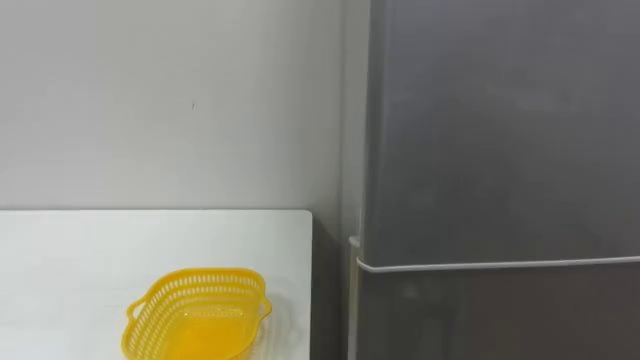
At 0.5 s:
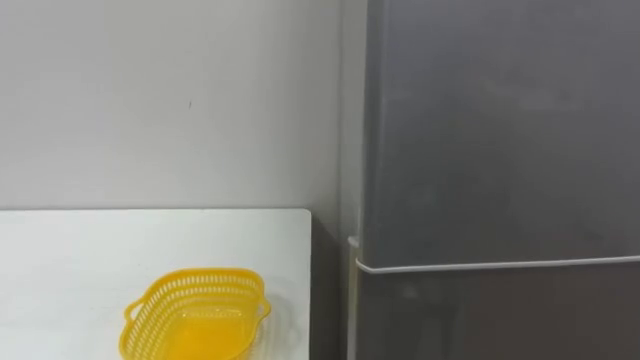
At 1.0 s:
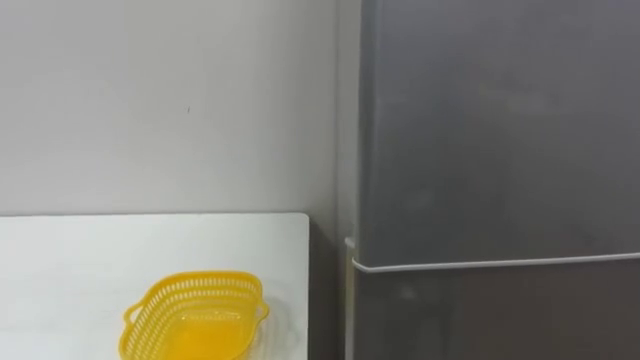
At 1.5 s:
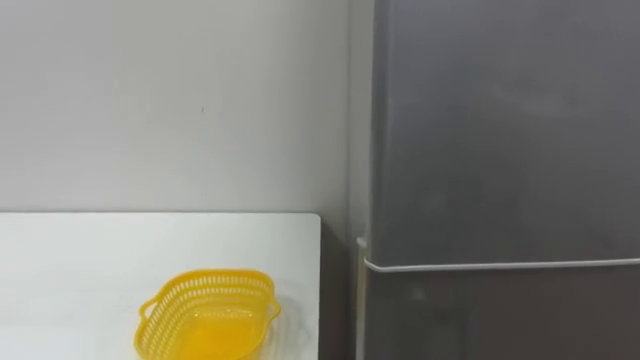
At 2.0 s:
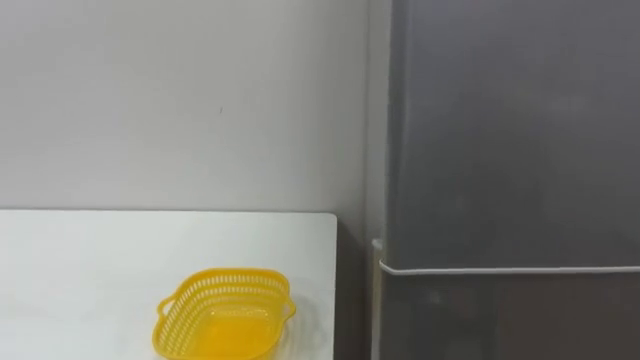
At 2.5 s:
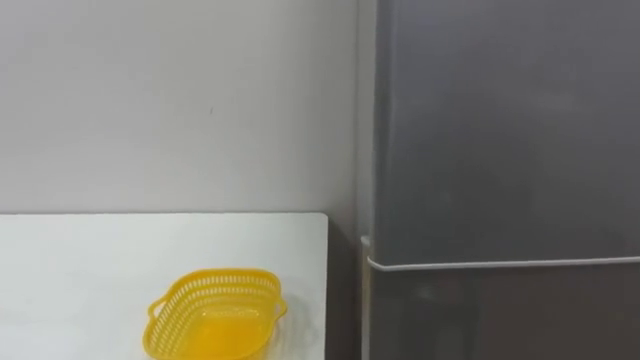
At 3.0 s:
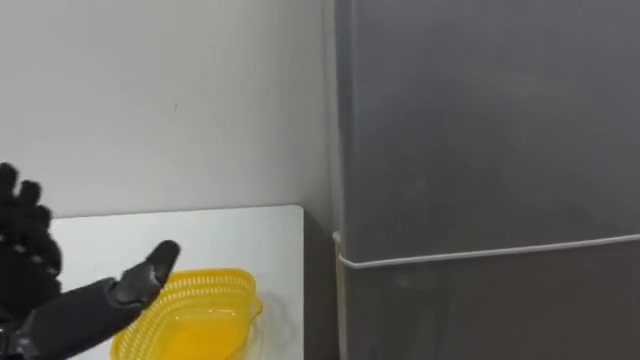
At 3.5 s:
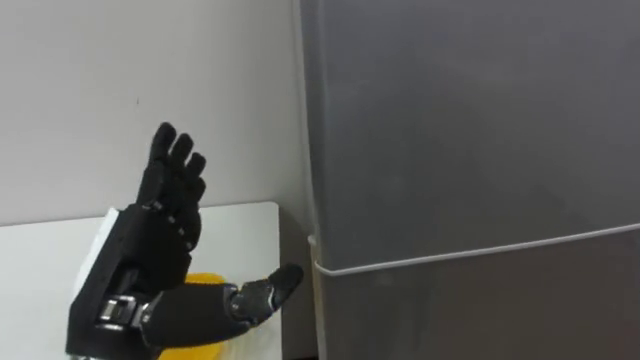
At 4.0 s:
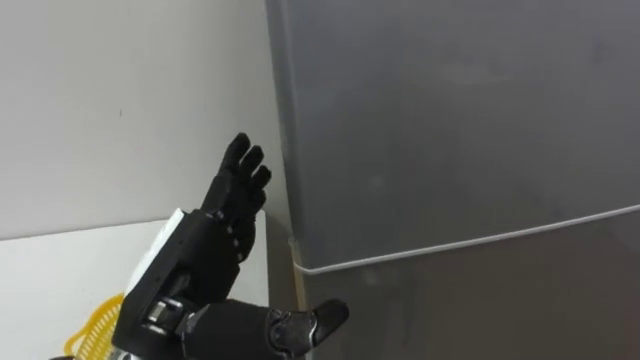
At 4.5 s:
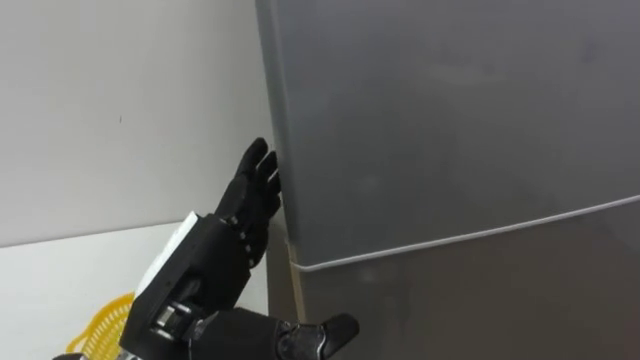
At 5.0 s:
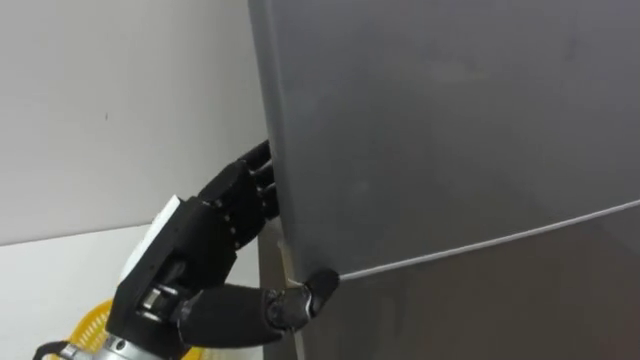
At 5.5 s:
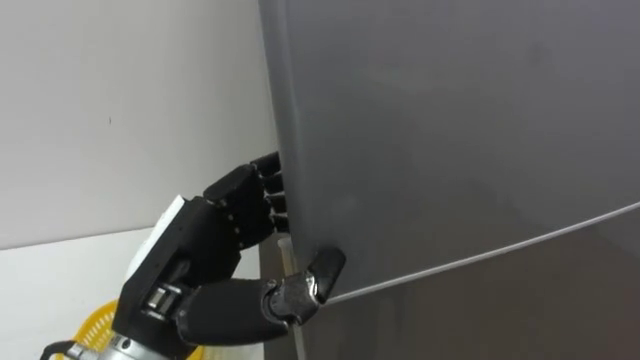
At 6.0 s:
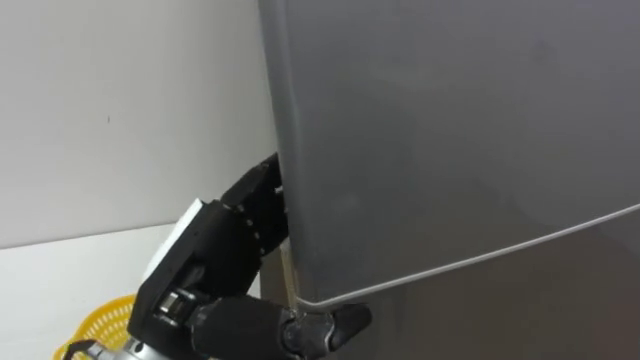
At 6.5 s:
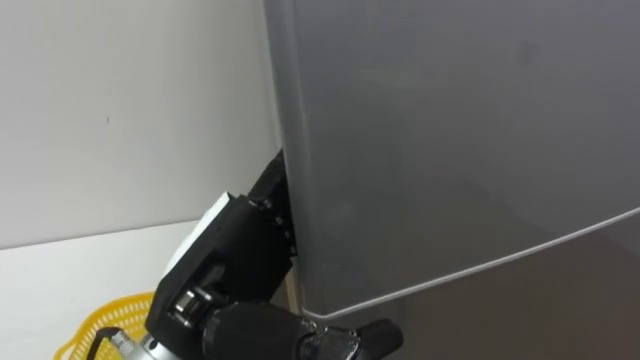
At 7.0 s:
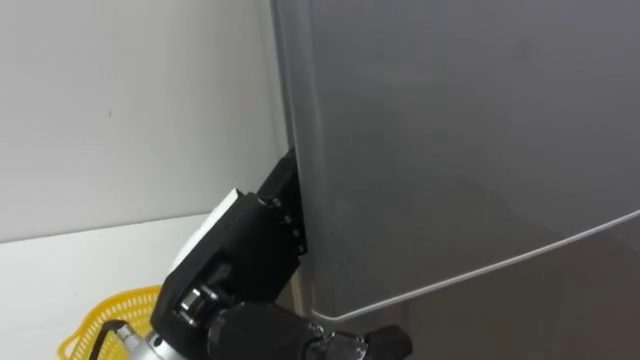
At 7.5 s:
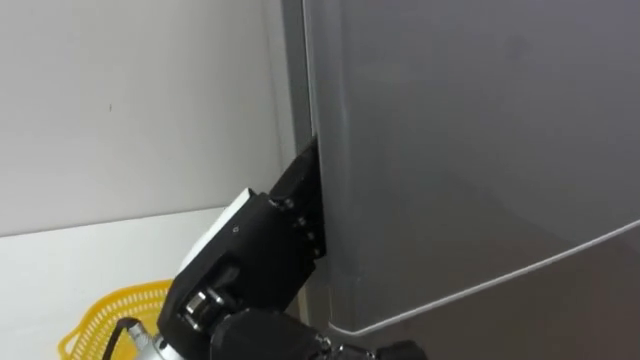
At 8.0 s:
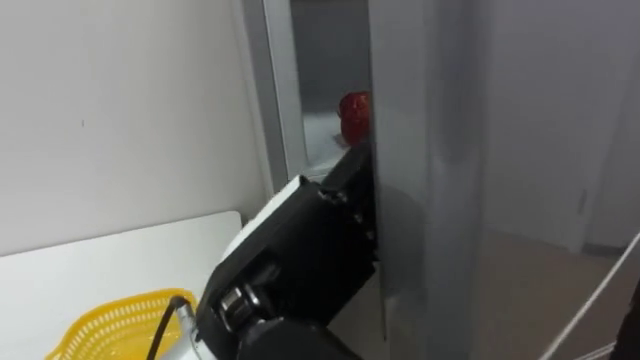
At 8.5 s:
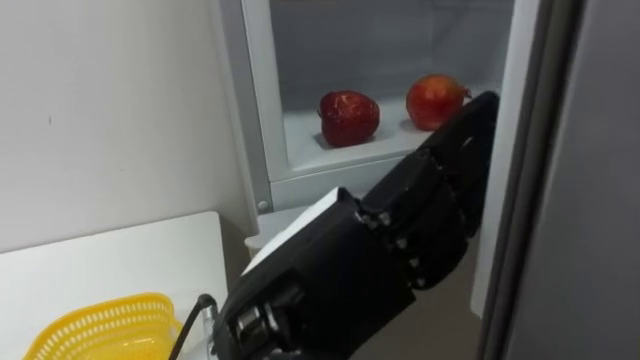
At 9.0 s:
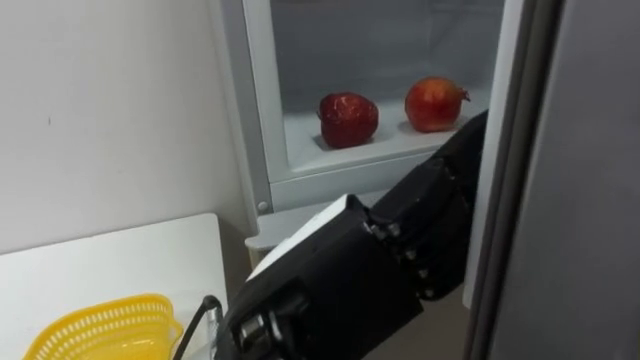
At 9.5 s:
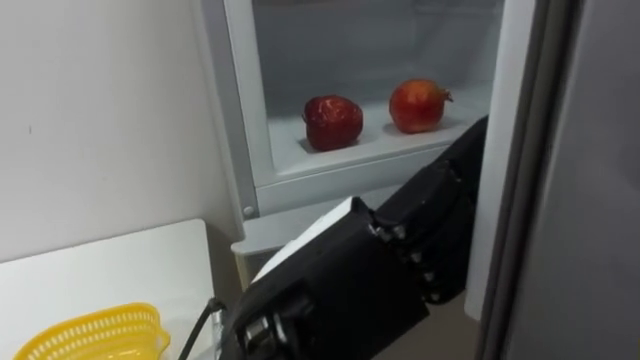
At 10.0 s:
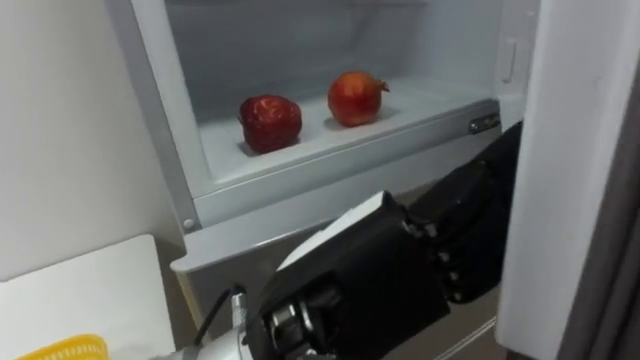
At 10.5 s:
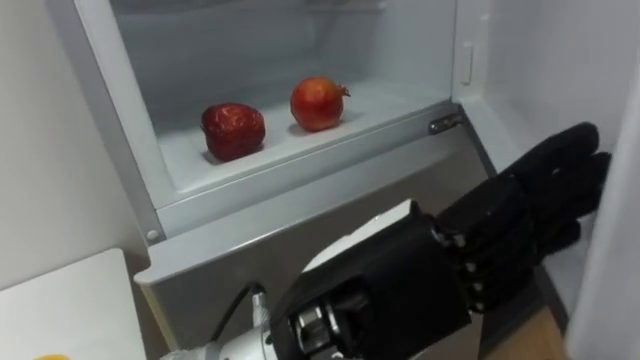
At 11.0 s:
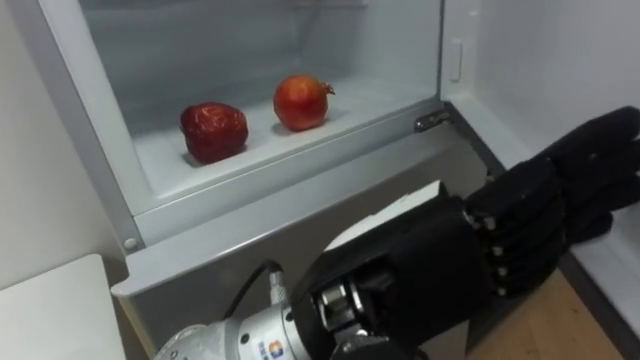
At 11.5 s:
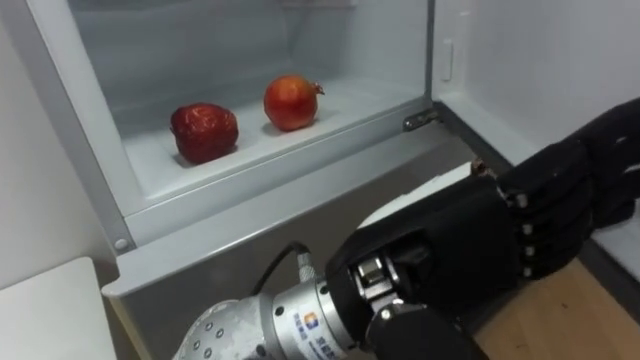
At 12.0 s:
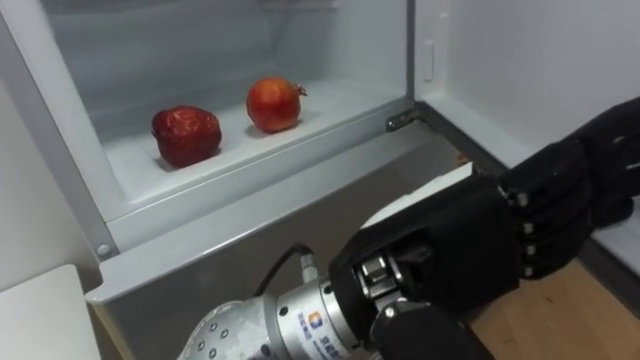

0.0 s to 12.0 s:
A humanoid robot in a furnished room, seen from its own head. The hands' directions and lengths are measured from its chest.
Task of the whole recording: Open the refrigerator door, take out the apple and the pomegranate, place them in the fruit basket on the left, and close the refrigerator door.
4.0 to 6.0 s: The left hand closes, then opens again.
6.0 to 8.0 s: The left hand is displaced to the right by roughly 5 cm.
10.0 to 12.0 s: The left hand shifts by some 5 cm.

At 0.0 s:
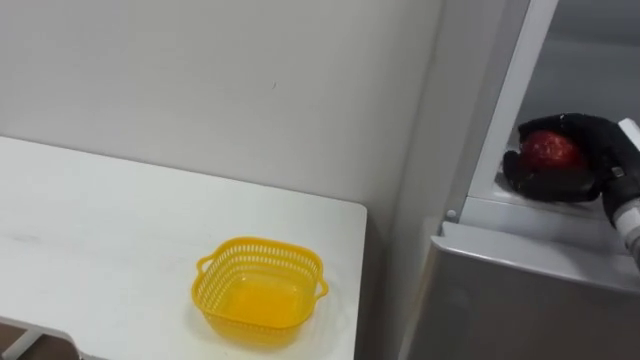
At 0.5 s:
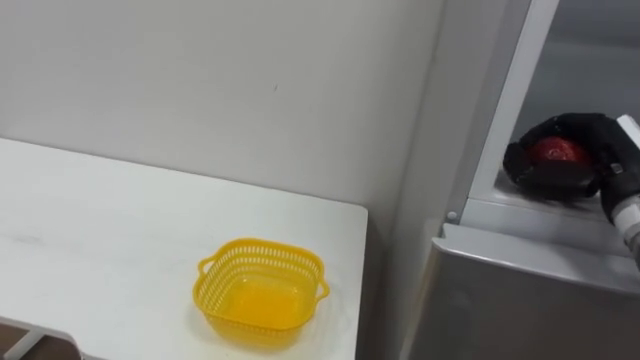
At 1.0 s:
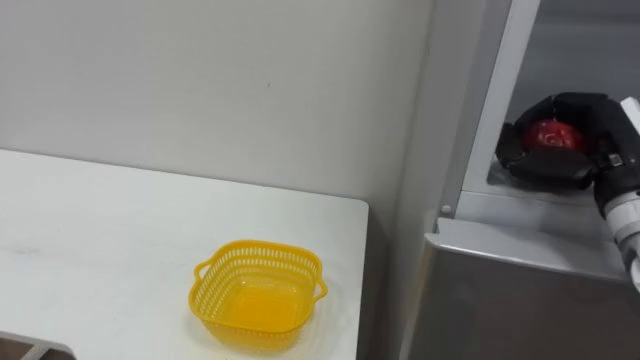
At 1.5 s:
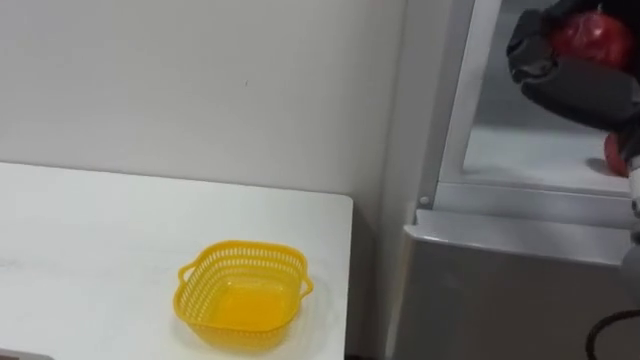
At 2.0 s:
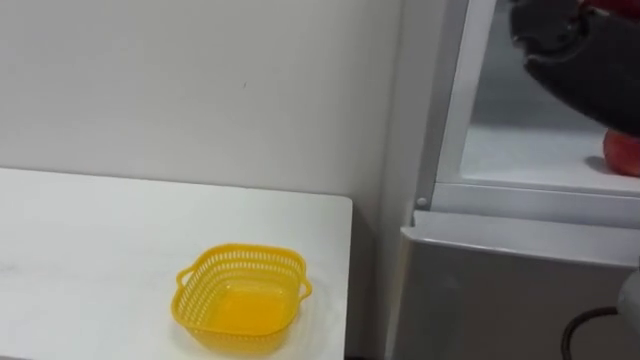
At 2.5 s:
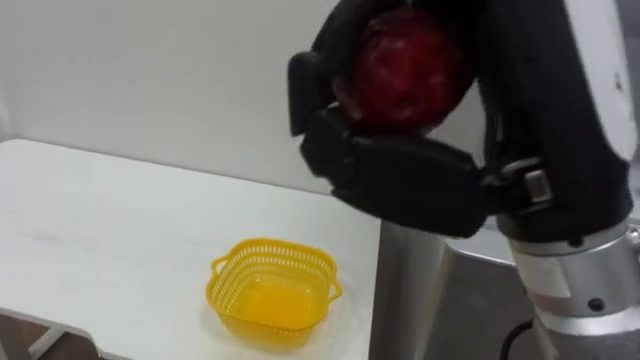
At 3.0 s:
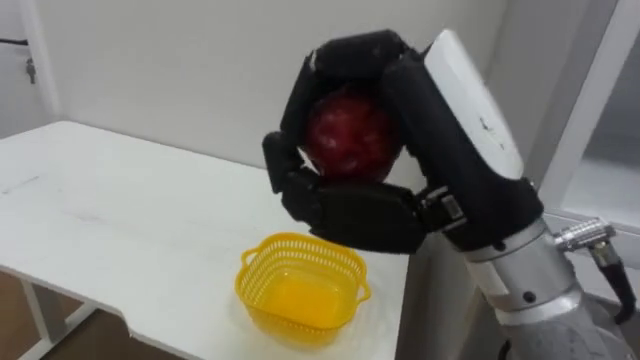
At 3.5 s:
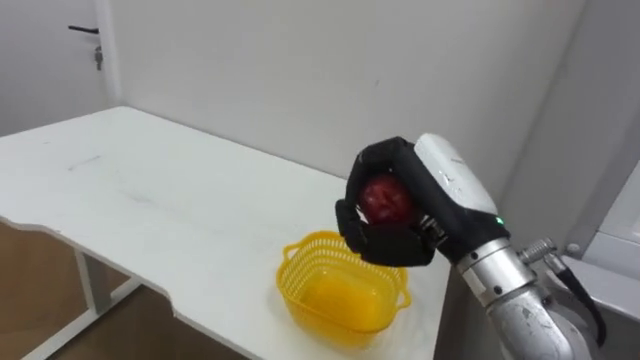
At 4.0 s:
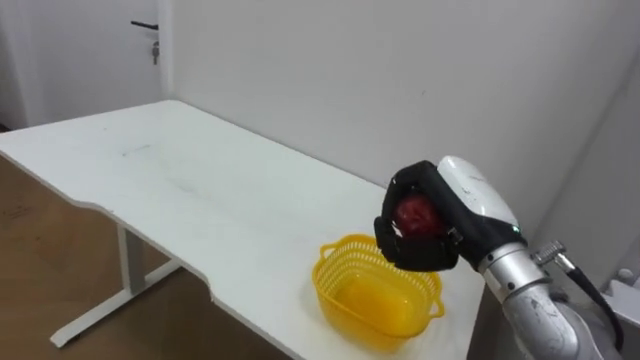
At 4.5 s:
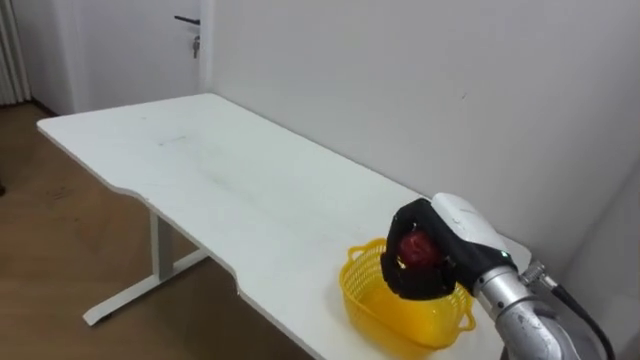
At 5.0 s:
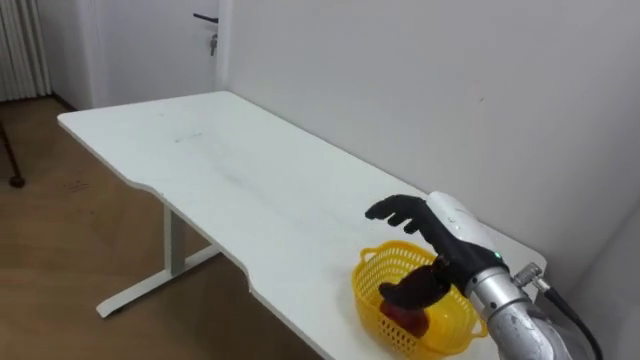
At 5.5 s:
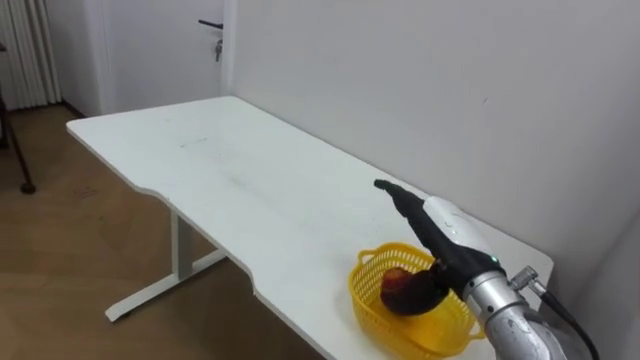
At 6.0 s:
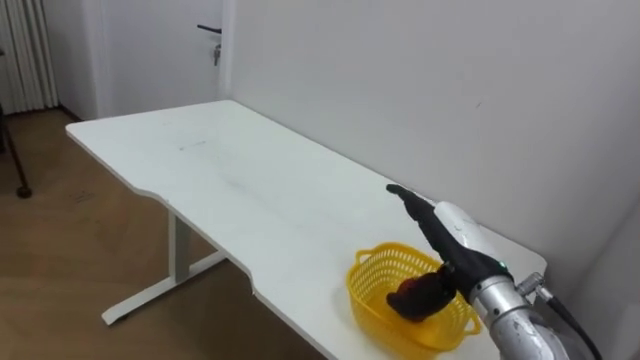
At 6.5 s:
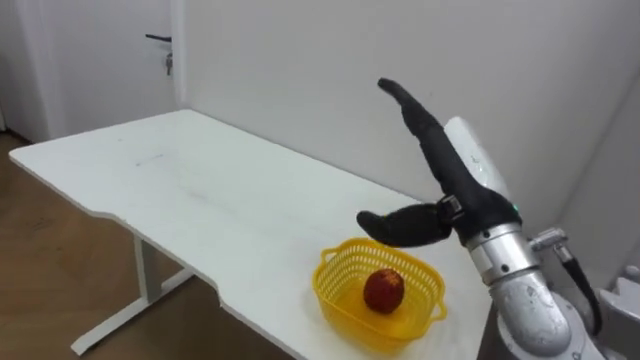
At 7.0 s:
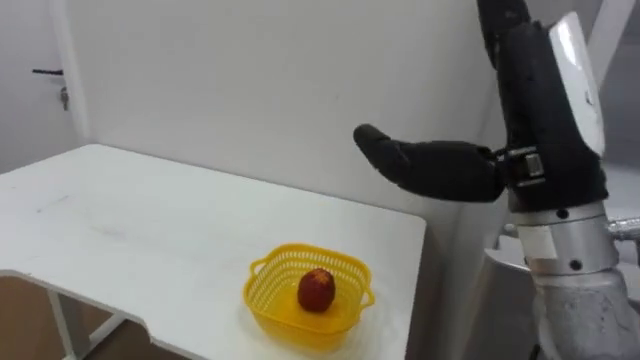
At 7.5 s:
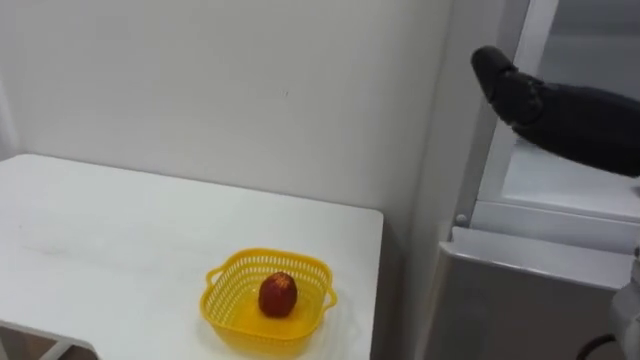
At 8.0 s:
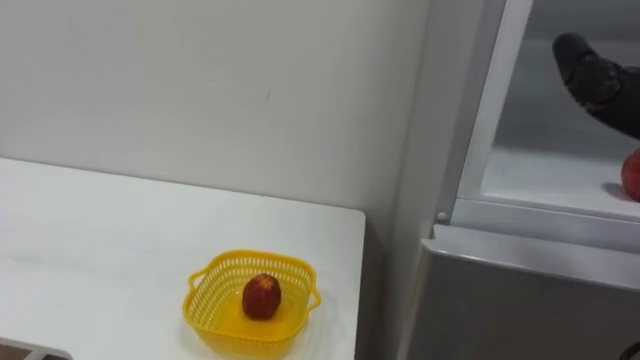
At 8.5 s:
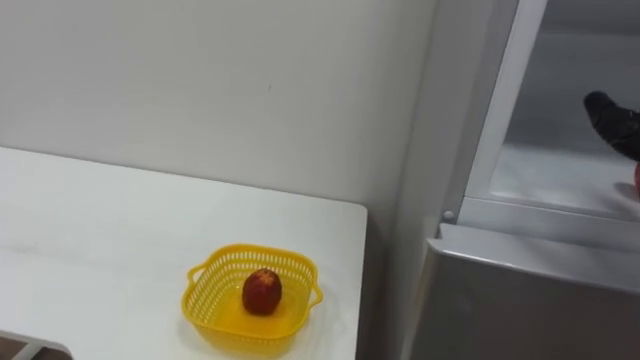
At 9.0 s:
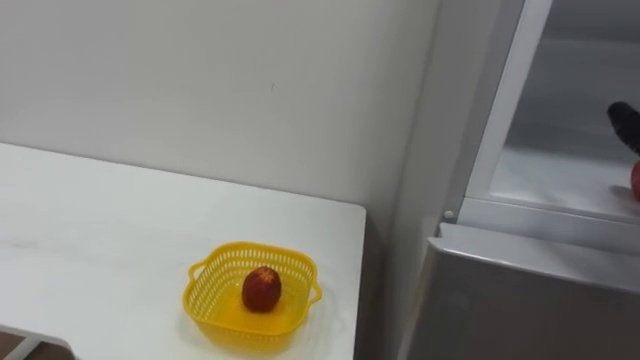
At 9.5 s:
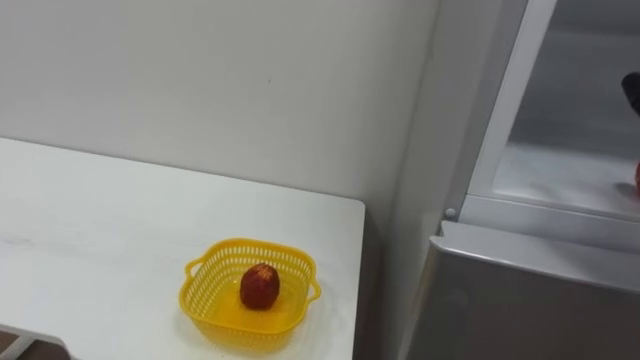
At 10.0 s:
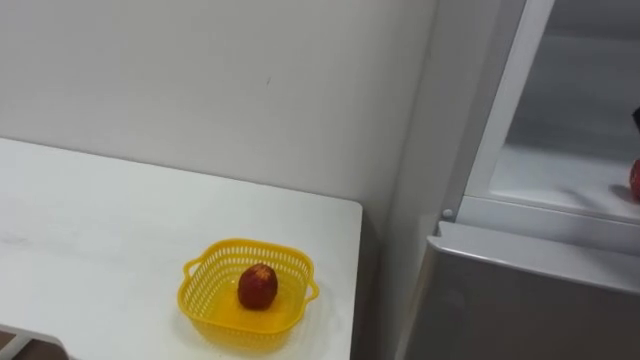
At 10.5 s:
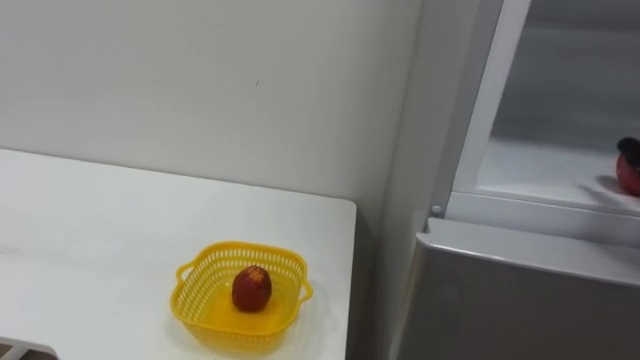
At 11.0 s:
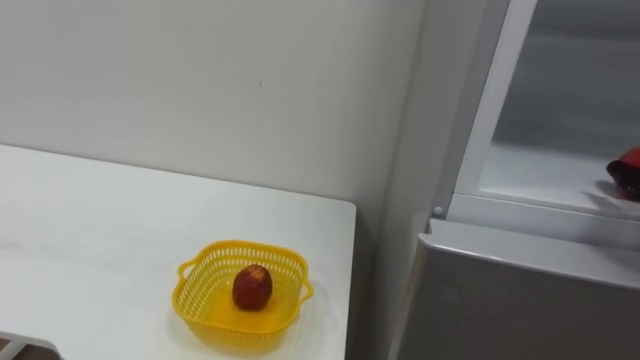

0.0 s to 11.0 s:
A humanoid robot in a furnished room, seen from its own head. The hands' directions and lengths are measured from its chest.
Task of the whole recording: Open the refrigerator door, take out the apple and the pomegranate, place them in the fruit basket on the left, and close the refrigerator door.
3.5 to 5.5 s: The right hand heads downward, covering some 10 cm, and opens up.
